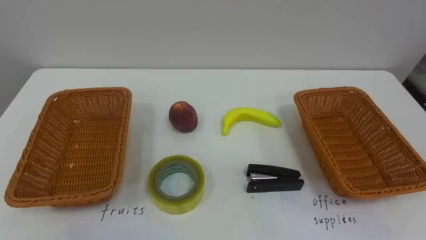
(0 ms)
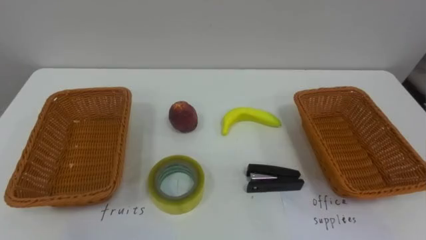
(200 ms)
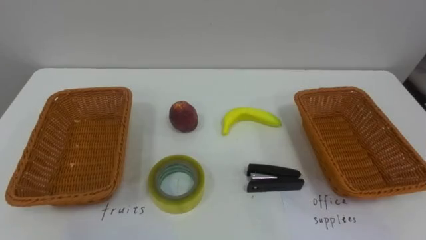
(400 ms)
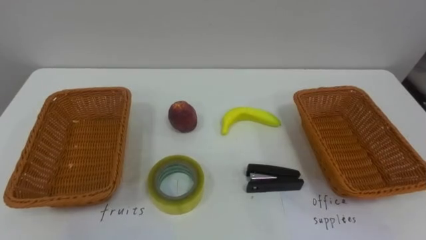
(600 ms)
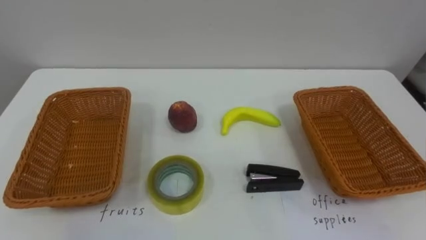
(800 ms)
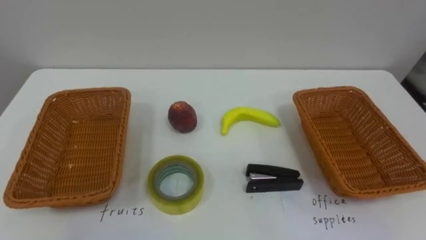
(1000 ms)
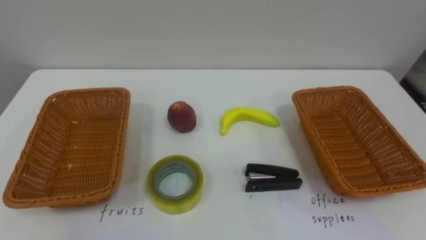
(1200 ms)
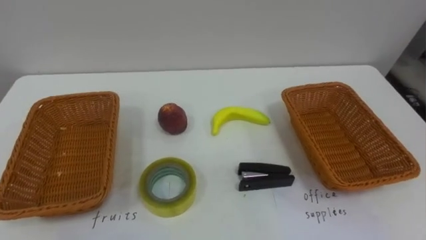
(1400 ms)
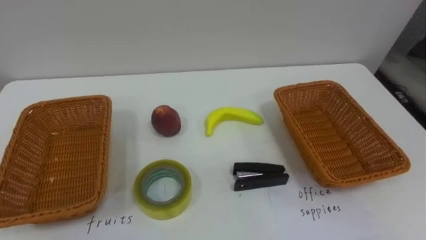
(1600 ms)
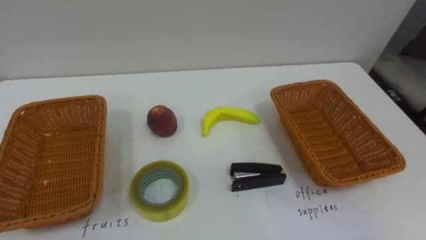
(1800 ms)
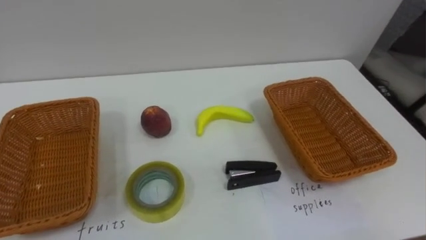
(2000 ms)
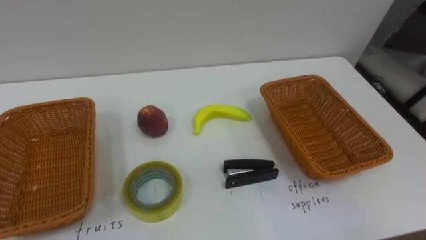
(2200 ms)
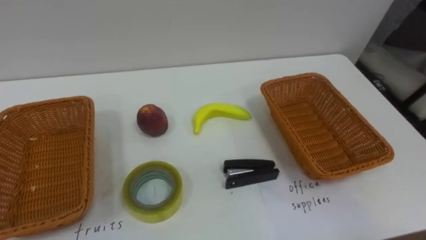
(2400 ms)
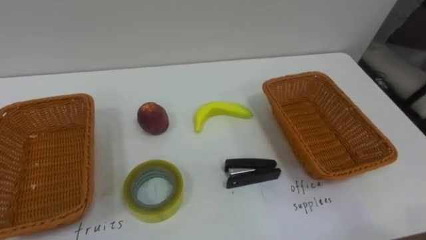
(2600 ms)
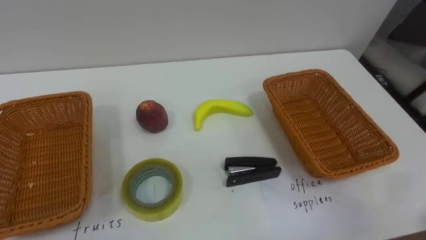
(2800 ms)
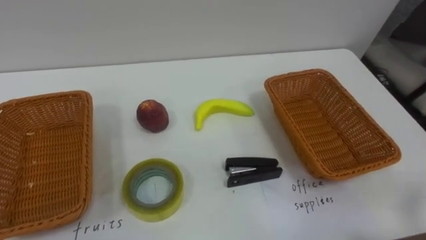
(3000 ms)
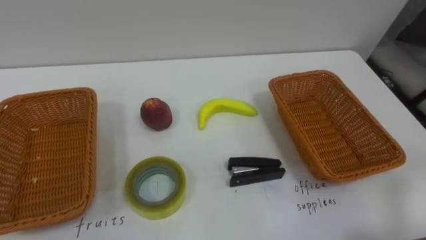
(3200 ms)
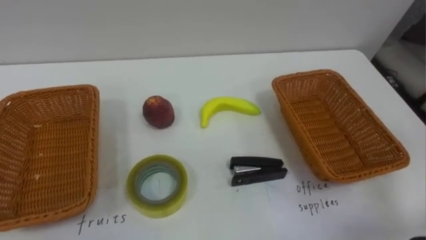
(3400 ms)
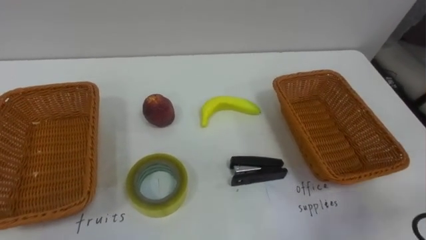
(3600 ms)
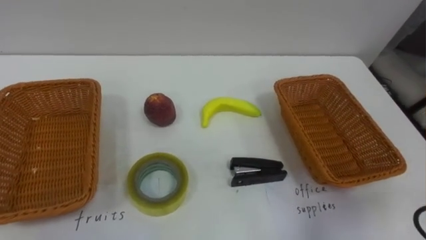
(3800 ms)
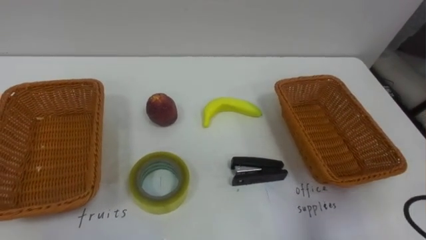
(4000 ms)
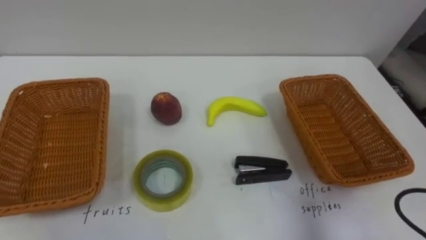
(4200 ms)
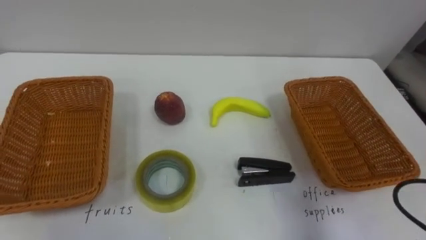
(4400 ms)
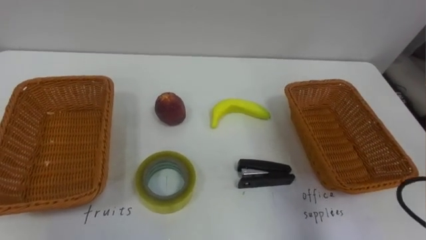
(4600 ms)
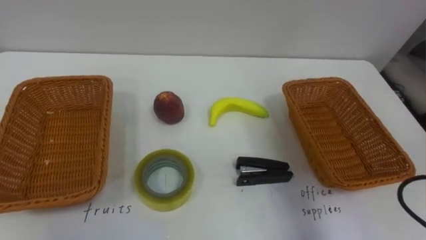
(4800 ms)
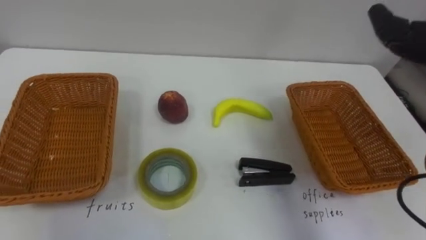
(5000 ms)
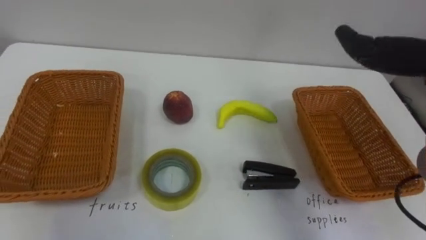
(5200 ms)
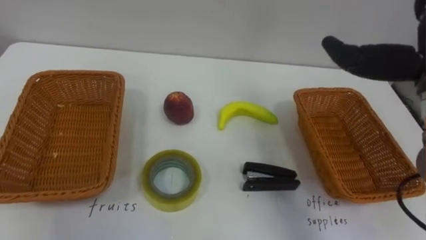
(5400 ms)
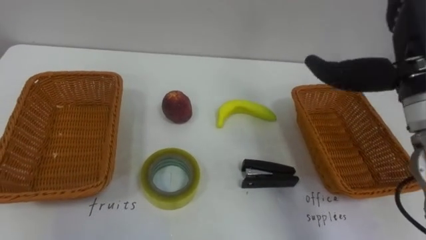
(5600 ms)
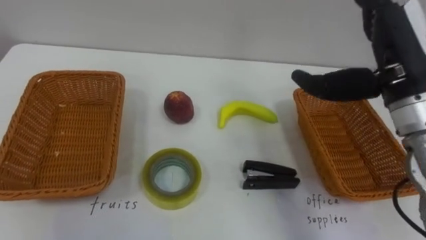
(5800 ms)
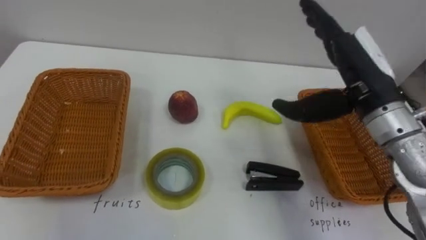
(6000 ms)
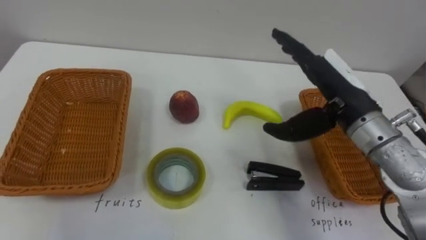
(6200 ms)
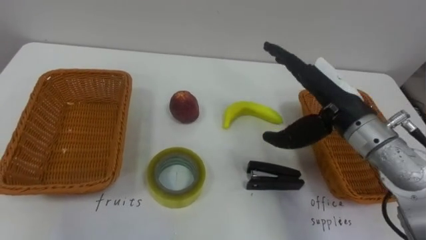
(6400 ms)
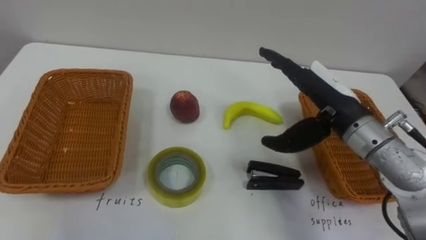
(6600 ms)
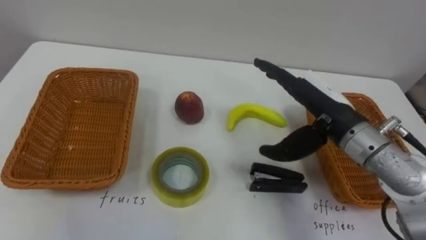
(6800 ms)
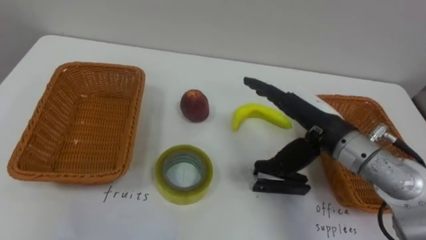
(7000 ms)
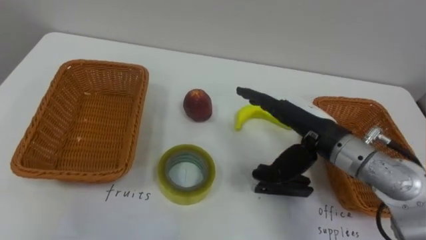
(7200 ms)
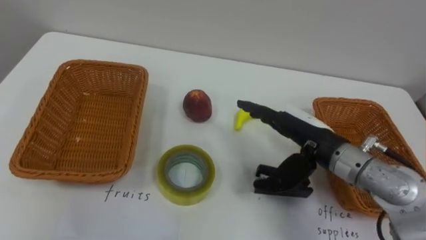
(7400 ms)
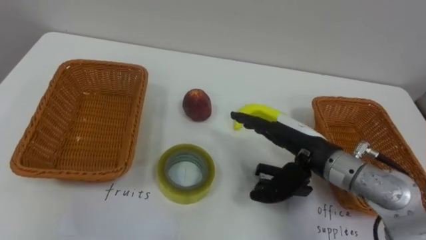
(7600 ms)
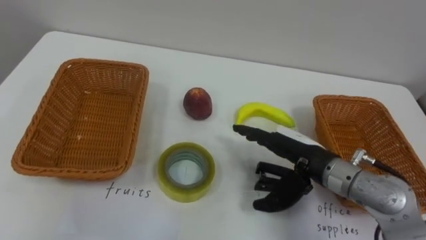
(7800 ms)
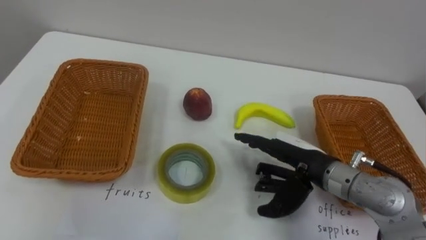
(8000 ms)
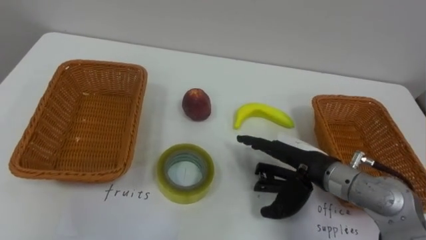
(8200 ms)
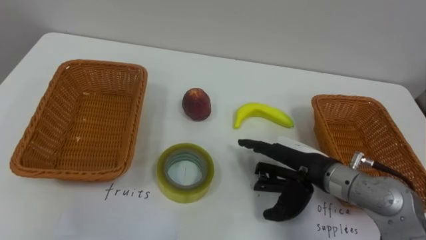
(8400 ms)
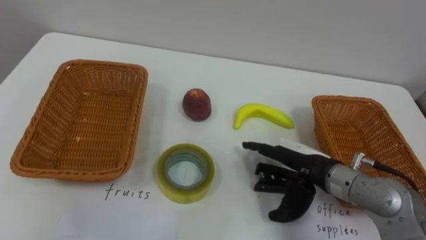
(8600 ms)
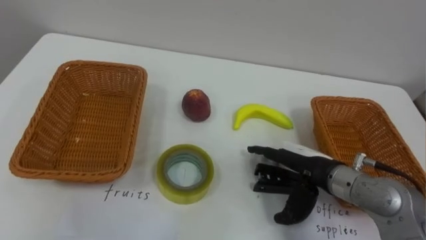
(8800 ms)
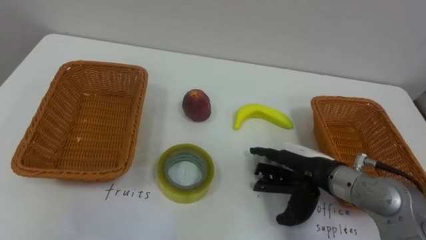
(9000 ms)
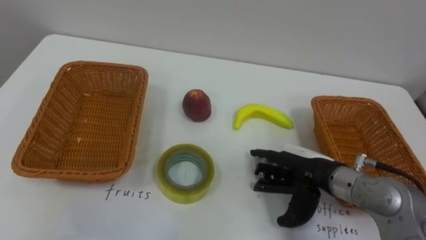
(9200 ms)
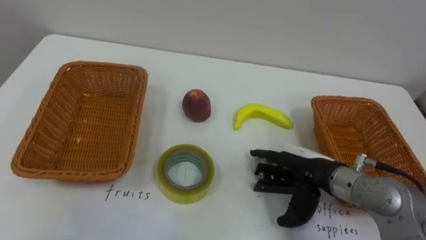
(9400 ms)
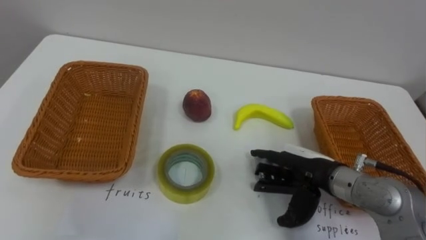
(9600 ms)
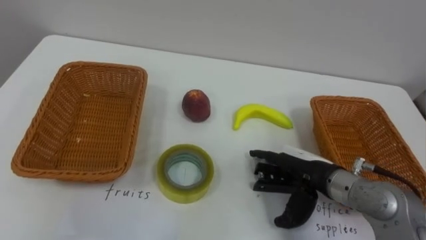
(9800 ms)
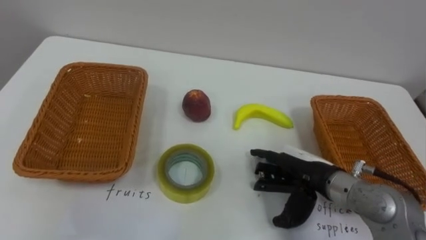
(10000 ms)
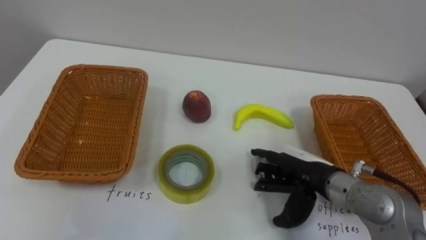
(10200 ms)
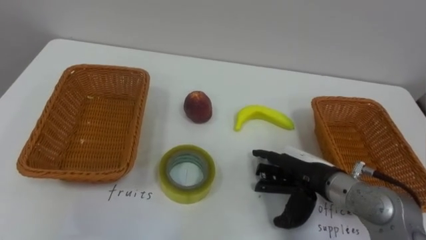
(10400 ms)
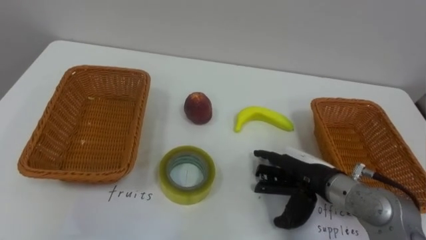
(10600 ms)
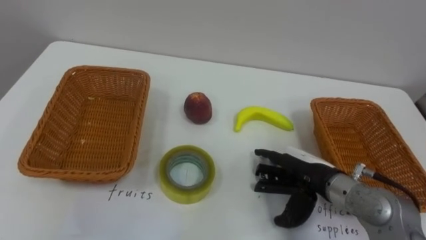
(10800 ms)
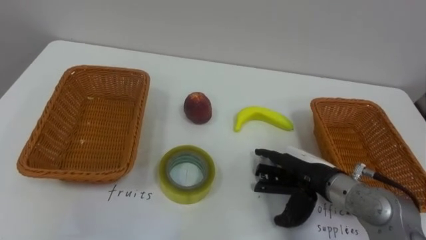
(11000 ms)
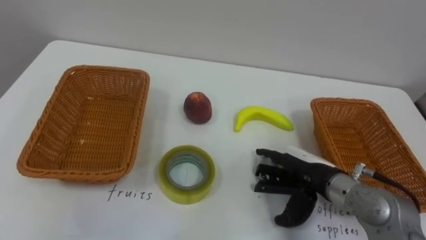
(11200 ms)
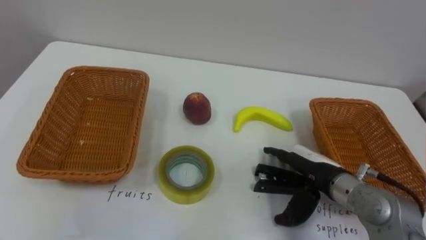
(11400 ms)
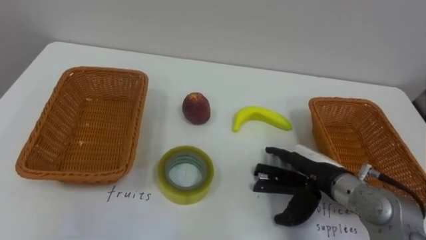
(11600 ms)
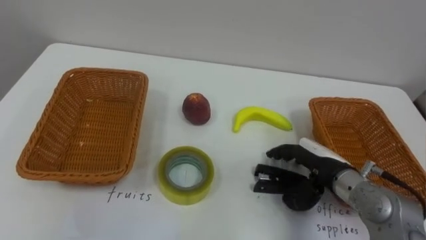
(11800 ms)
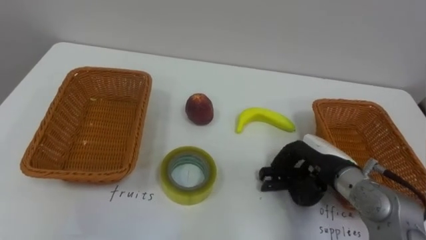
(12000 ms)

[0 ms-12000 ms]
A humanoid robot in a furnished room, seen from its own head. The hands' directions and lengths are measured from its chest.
Task of the whole recording: Separate the items on the table and place them into the two baskets.
6000 ms to 7600 ms: The right hand moves downward and to the left, about 15 cm.
7600 ms to 9000 ms: The right hand is displaced downward by roughly 5 cm.
10400 ms to 12000 ms: The right hand closes its fingers.

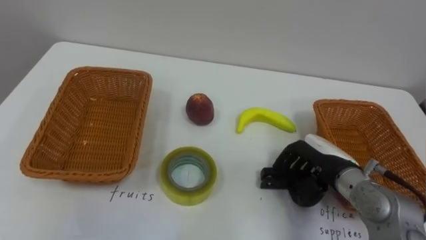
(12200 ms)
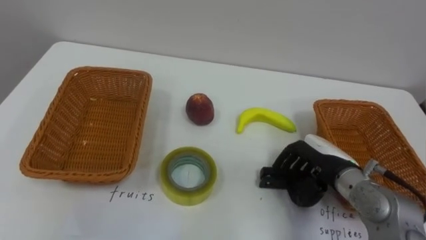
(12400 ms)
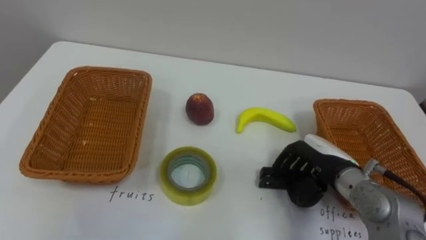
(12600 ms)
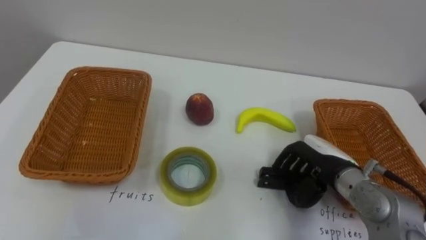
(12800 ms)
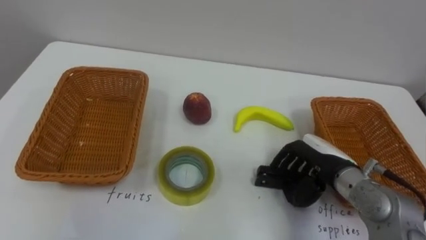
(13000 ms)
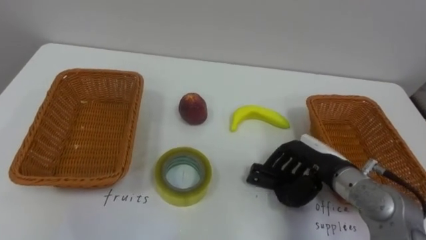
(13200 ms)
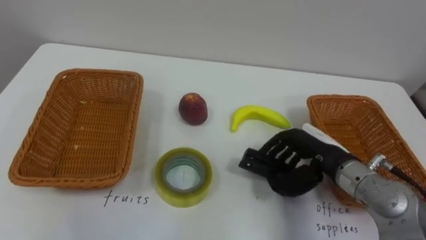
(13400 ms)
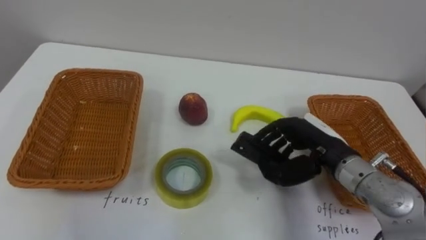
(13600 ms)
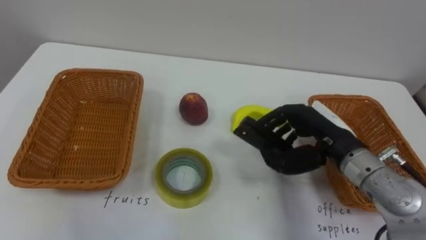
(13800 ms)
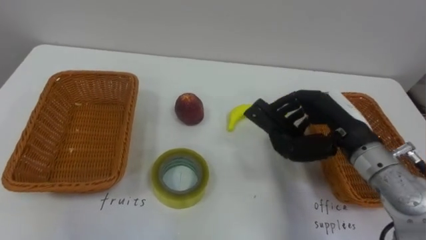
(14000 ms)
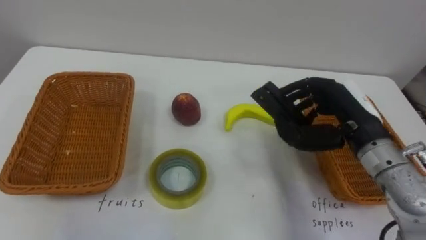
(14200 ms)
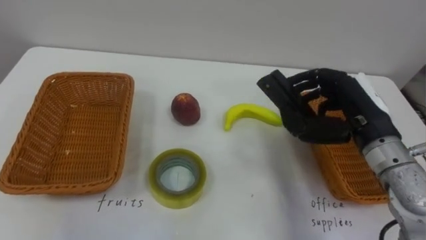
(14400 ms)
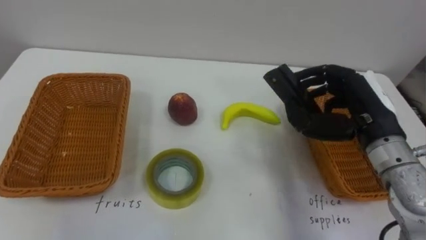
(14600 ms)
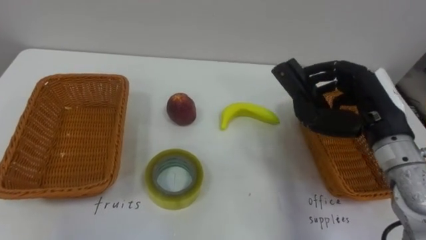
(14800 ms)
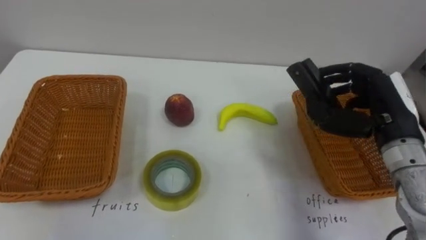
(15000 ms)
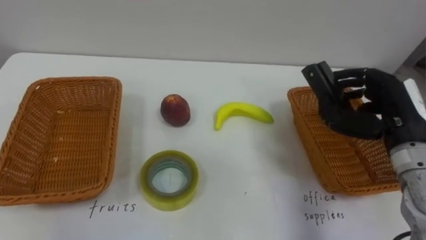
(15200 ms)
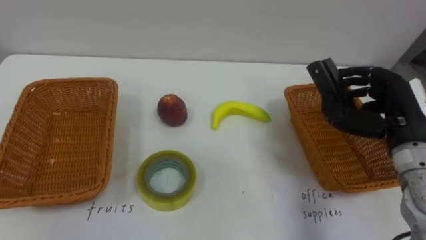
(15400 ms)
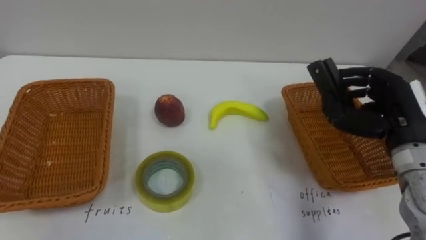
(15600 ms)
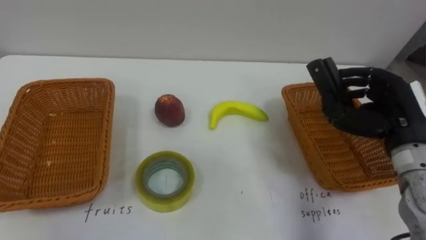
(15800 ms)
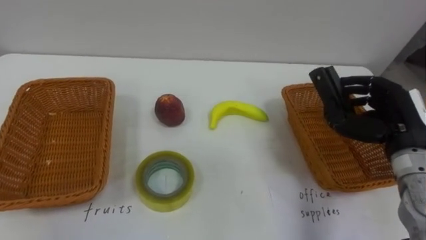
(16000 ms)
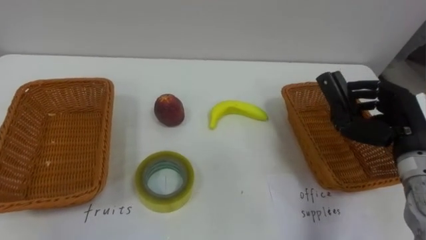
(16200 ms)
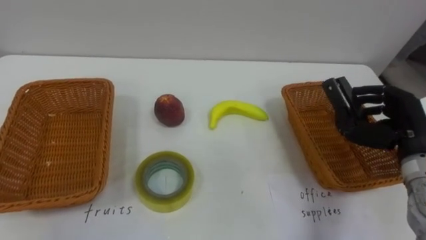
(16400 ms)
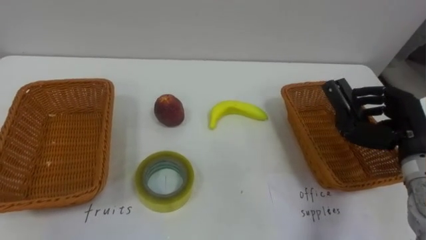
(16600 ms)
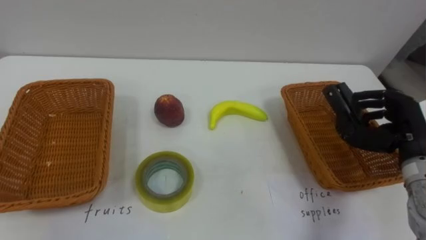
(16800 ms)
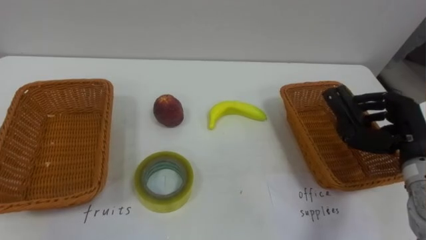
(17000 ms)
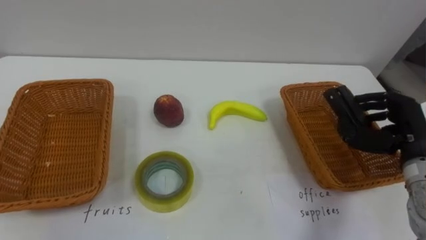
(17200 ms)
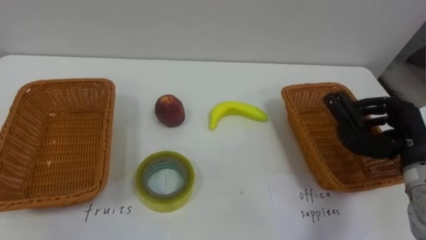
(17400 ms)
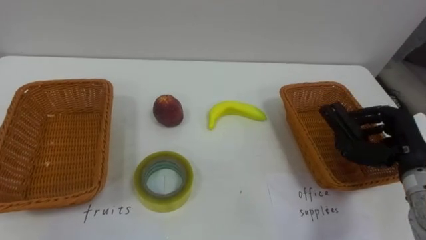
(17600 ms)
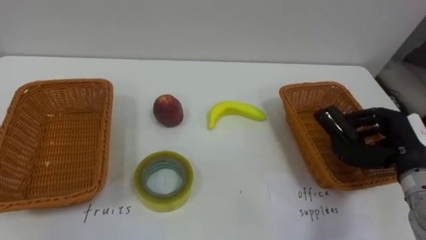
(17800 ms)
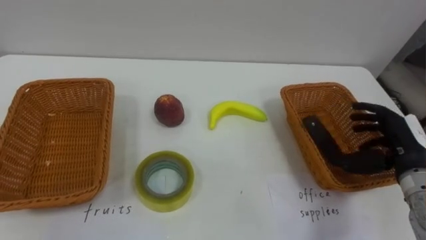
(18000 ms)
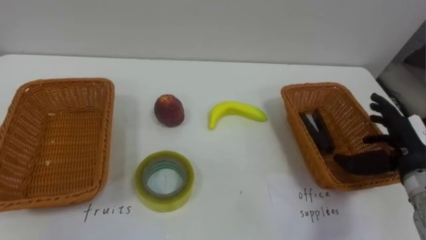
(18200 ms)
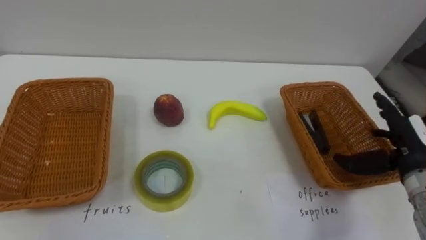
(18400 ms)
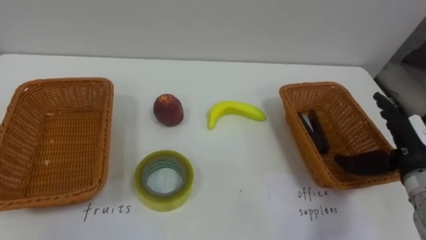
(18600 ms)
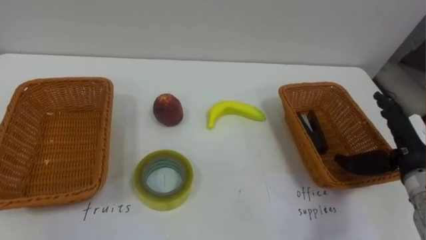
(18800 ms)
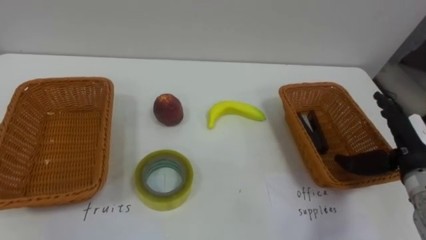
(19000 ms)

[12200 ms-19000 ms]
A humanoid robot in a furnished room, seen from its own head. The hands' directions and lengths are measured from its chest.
Task of the whole recording: Separate the items on the table and place them into the two baskets.
12200 ms to 13600 ms: The right hand moves some 5 cm.
13600 ms to 15000 ms: The right hand is displaced to the right and upward by roughly 10 cm.
15000 ms to 16200 ms: The right hand ends up some 5 cm from where it was.
17600 ms to 19000 ms: The right hand opens up.
